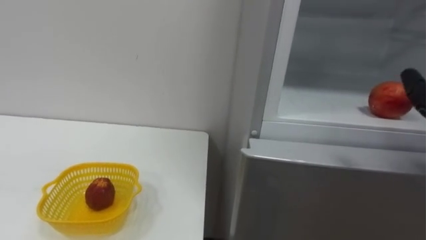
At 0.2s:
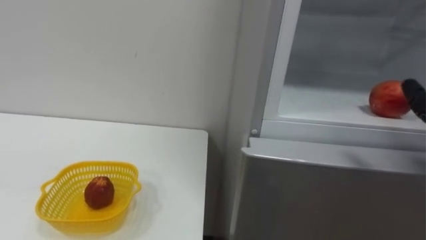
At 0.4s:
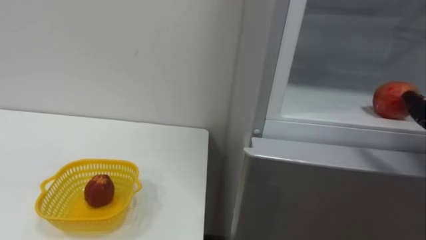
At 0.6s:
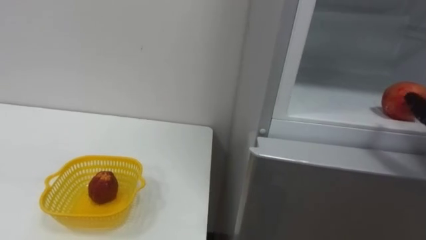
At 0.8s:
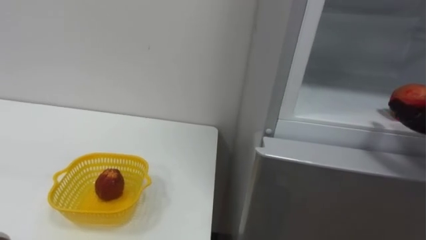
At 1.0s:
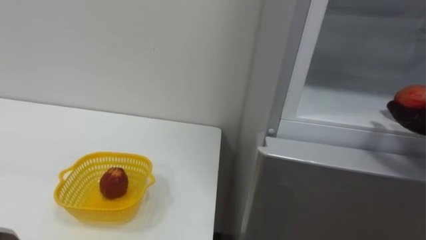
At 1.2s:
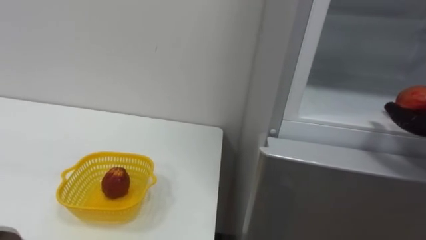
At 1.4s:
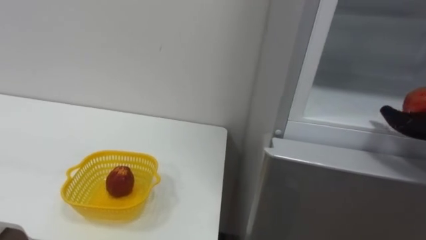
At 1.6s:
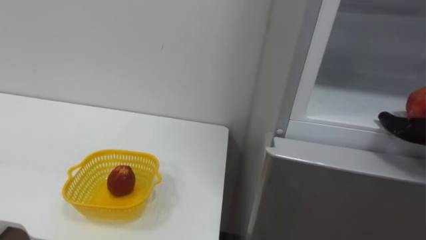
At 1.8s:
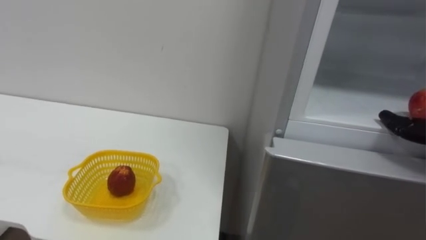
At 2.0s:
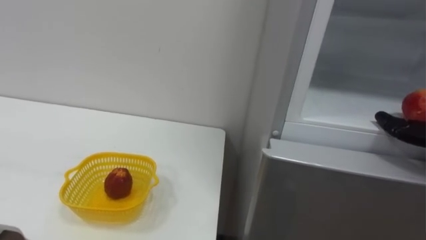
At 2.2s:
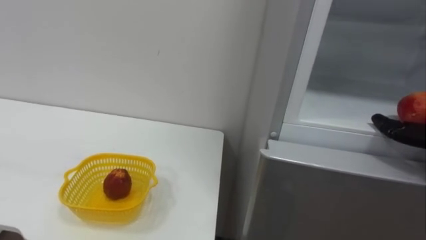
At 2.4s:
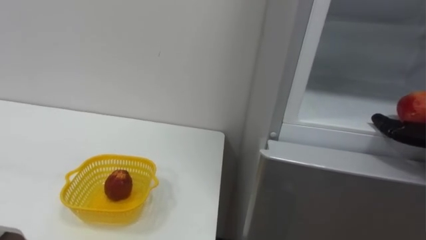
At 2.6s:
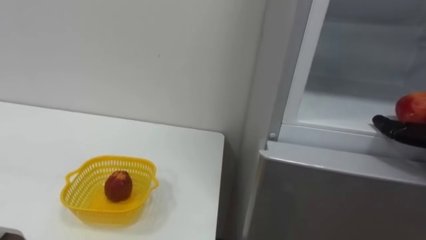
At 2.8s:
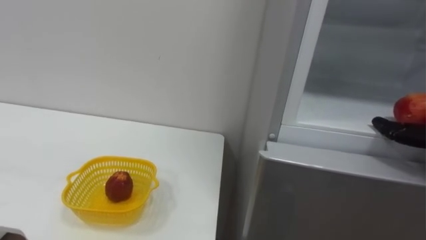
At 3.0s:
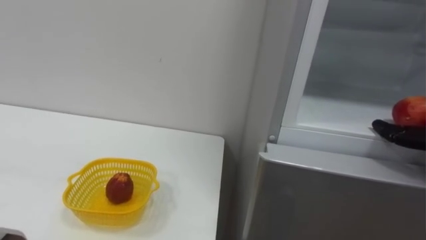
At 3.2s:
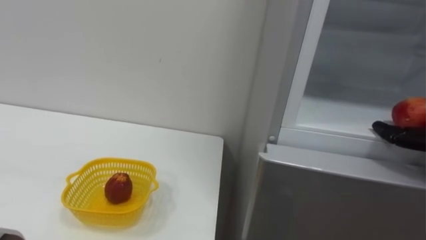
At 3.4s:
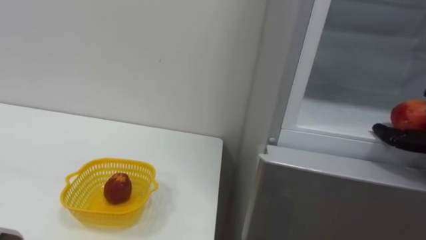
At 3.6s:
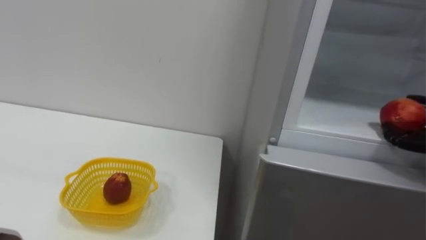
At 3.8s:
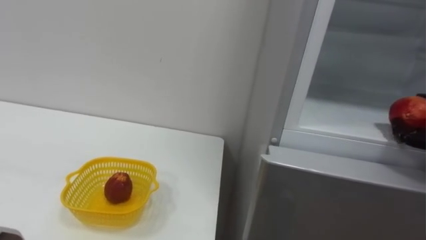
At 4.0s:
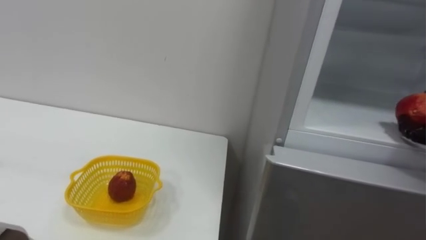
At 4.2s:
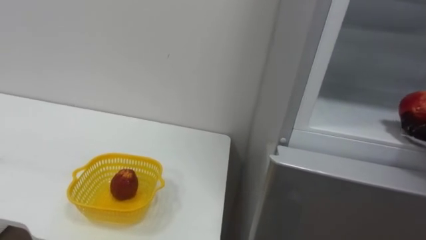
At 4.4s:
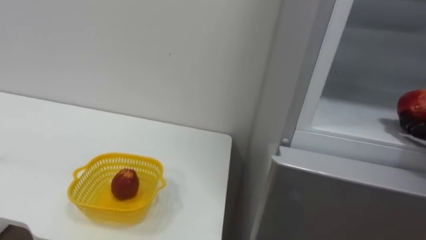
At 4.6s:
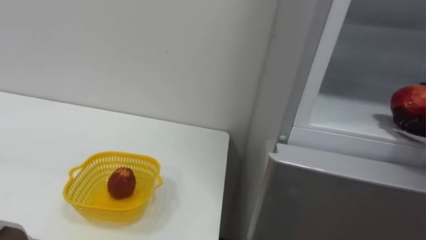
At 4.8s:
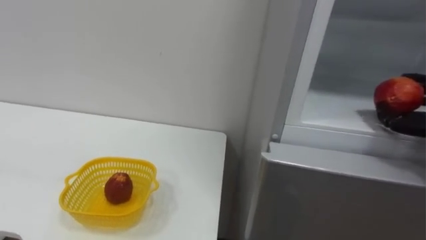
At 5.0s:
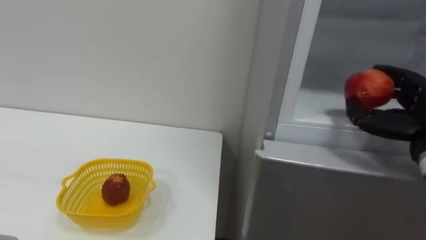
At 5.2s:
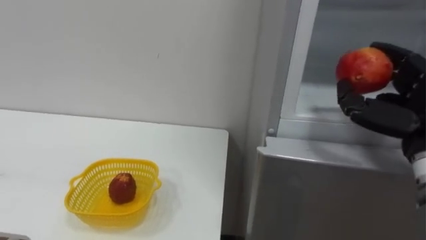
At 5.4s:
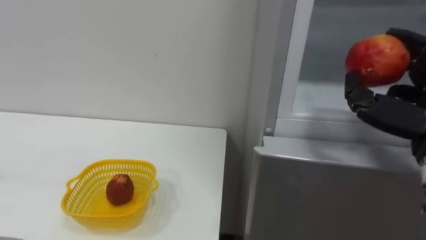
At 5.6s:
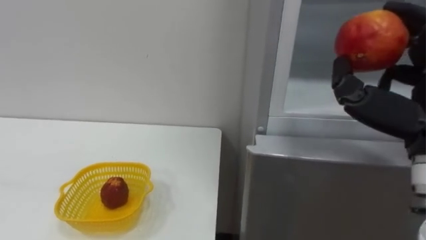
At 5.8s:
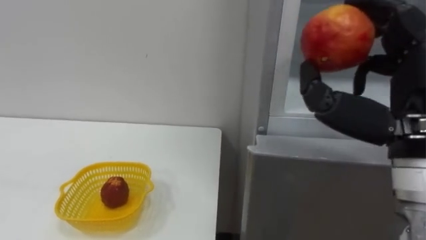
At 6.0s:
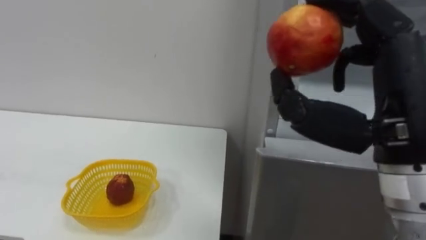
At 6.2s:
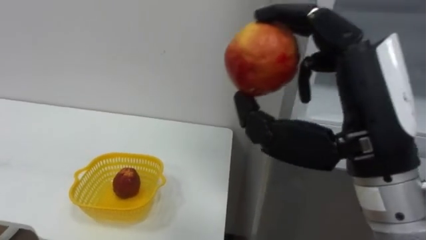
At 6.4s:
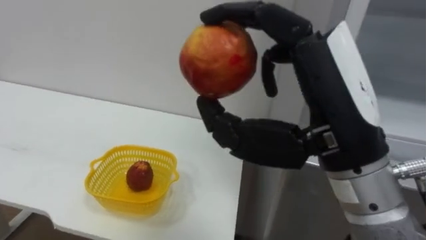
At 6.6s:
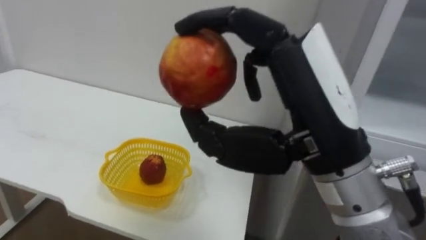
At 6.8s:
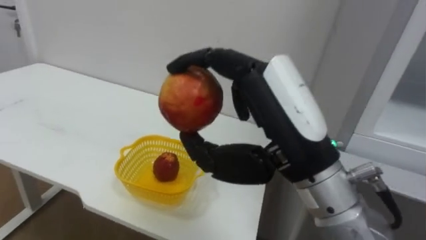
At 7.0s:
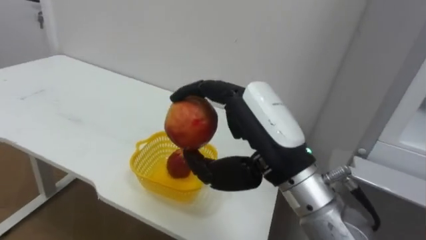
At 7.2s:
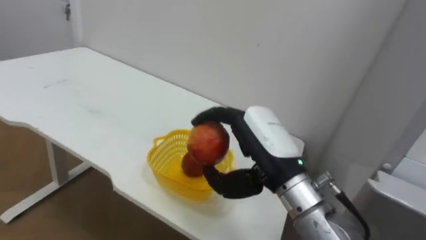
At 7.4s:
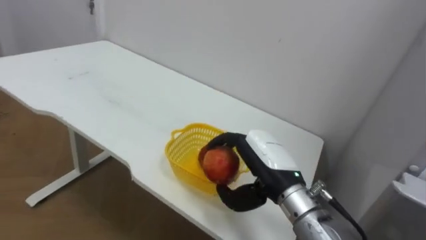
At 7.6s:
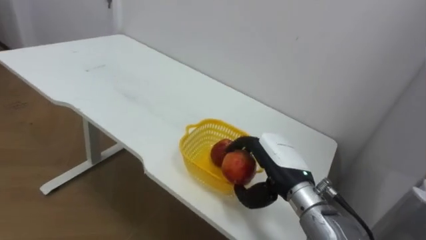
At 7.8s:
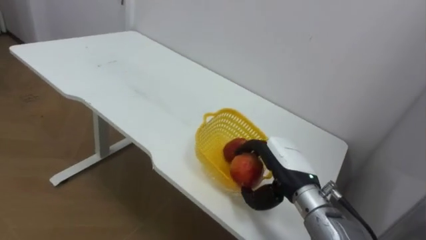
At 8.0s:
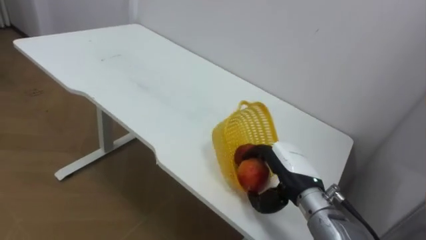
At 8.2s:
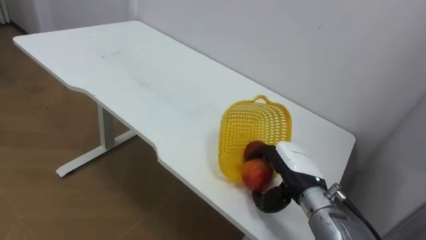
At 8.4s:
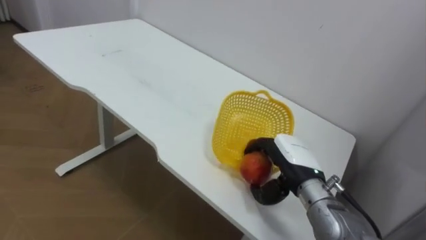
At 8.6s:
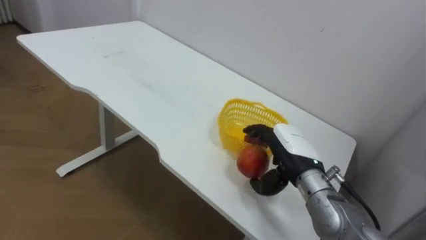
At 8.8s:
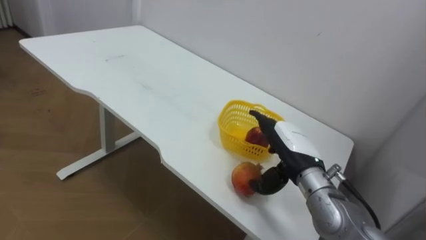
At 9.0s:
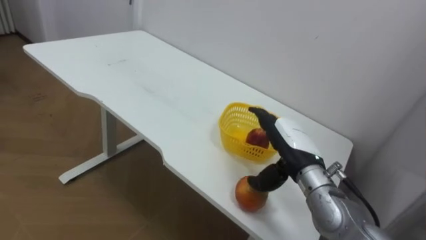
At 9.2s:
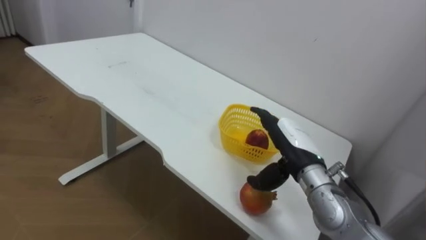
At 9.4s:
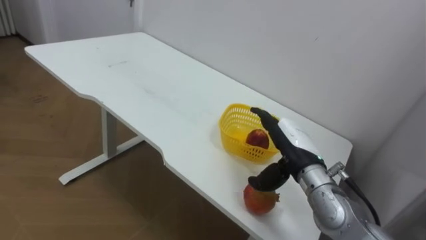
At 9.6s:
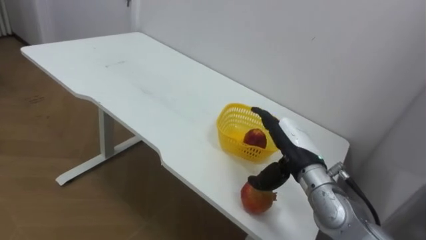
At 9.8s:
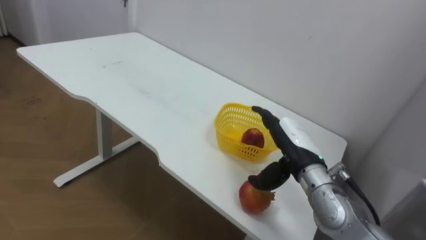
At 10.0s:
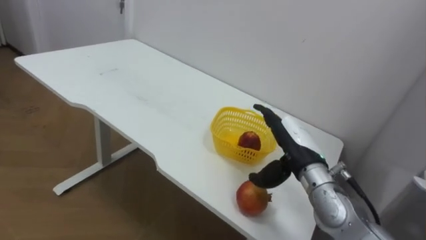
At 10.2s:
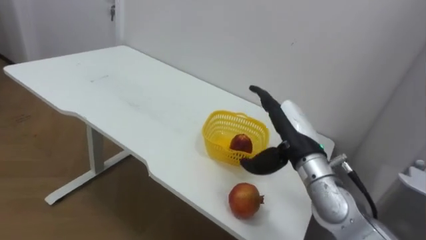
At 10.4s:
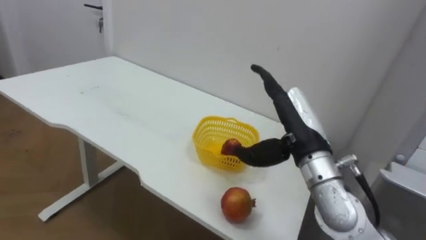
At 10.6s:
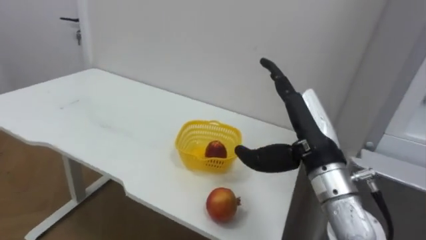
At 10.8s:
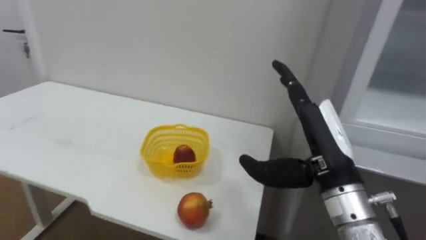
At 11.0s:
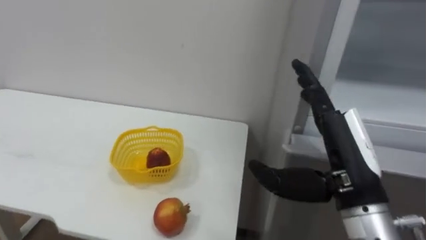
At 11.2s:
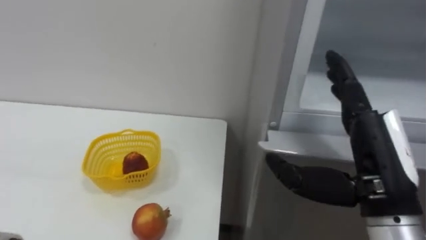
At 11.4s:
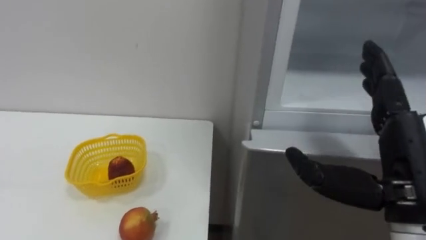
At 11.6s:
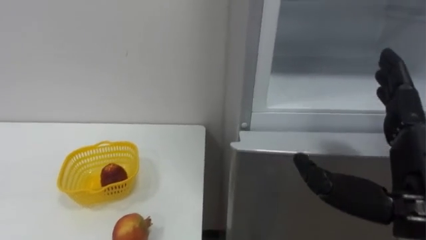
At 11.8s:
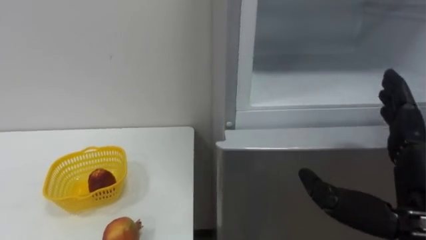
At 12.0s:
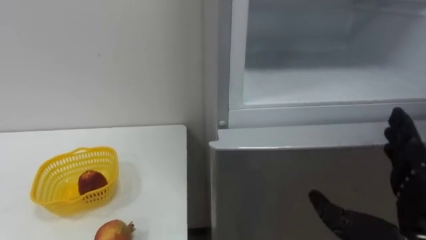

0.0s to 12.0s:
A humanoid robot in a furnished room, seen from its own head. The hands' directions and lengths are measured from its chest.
Task of the whole recording: Open the refrigerator door, take out the apple and the pomegranate, place them in the fruit basket on the left, and close the refrigerator door.
6.0s to 7.6s: The right hand goes about 25 cm downward, forward and to the left.
7.6s to 9.0s: The right hand opens.
9.0s to 10.4s: The right hand is displaced upward by some 5 cm.
10.4s to 12.0s: The right hand goes approximately 20 cm backward and to the right.

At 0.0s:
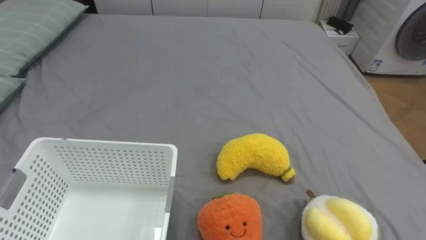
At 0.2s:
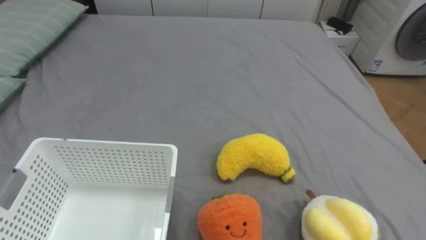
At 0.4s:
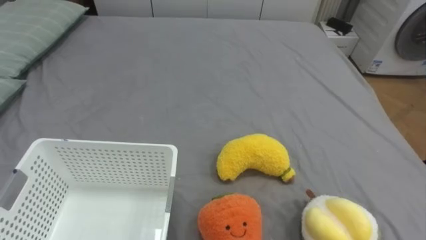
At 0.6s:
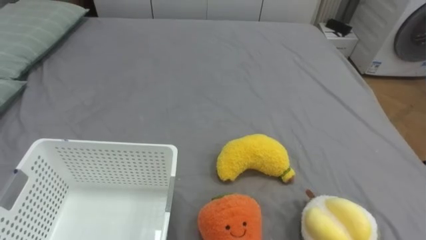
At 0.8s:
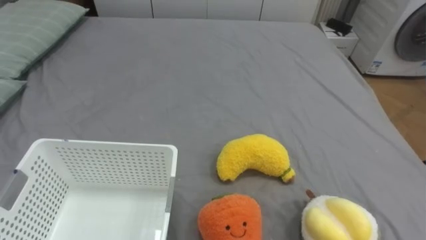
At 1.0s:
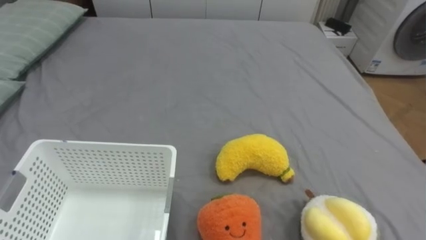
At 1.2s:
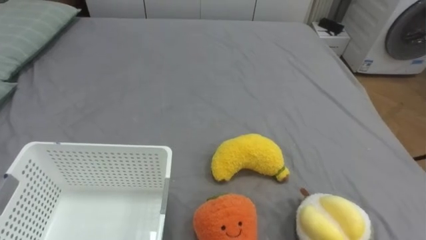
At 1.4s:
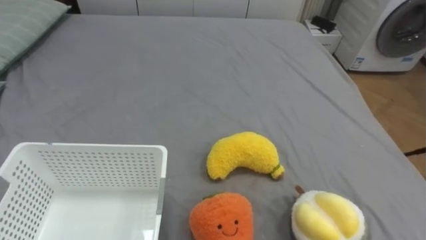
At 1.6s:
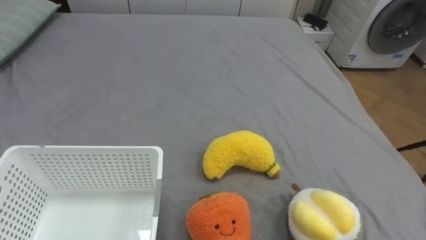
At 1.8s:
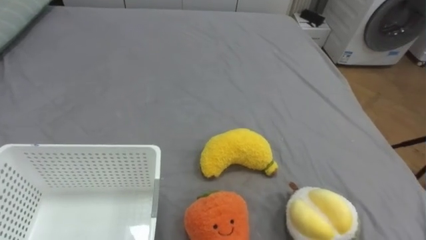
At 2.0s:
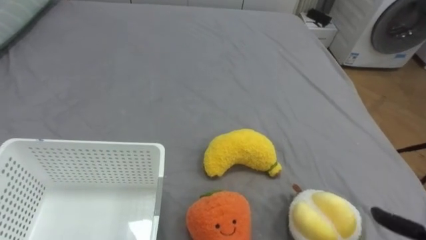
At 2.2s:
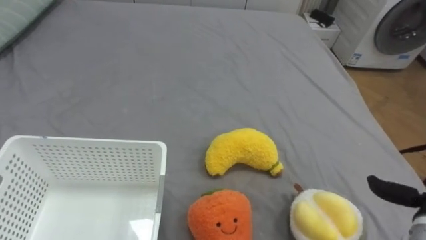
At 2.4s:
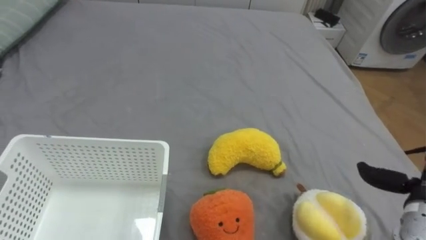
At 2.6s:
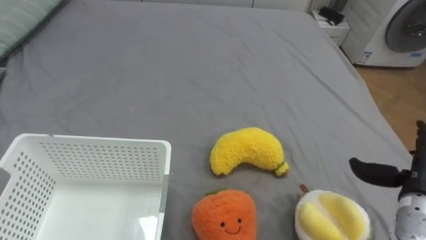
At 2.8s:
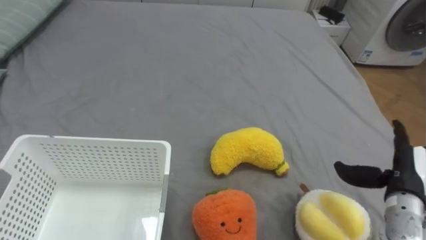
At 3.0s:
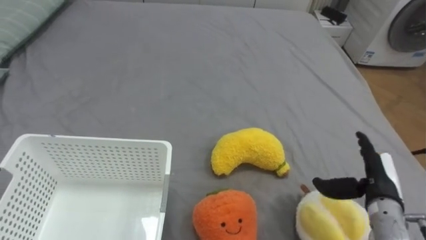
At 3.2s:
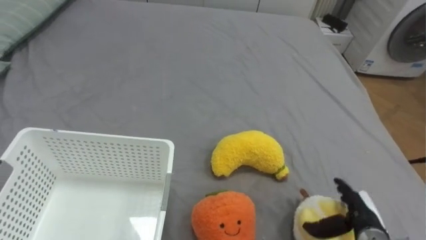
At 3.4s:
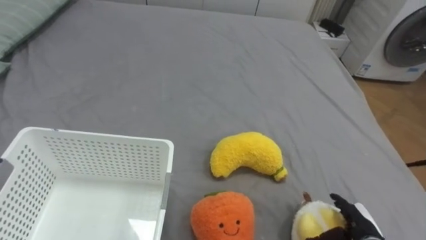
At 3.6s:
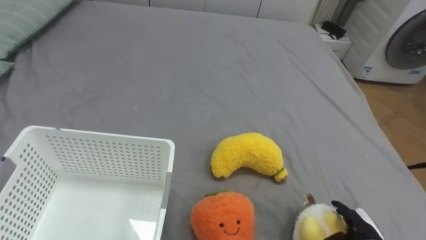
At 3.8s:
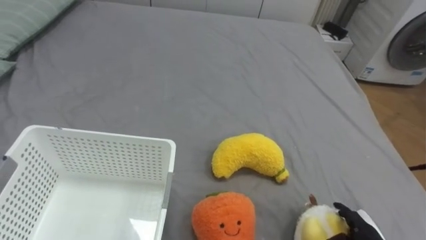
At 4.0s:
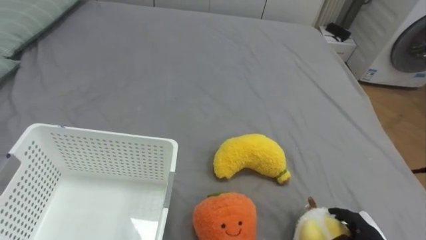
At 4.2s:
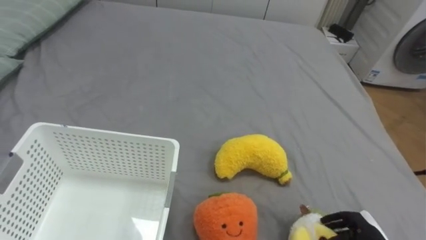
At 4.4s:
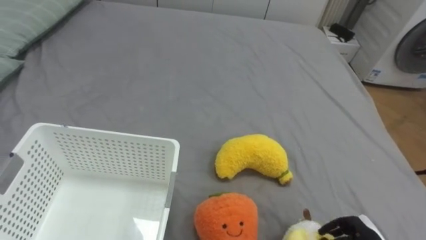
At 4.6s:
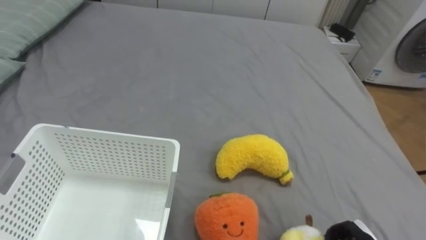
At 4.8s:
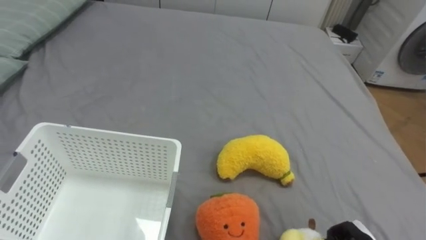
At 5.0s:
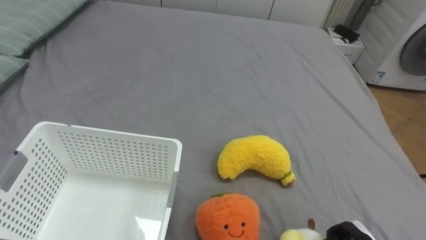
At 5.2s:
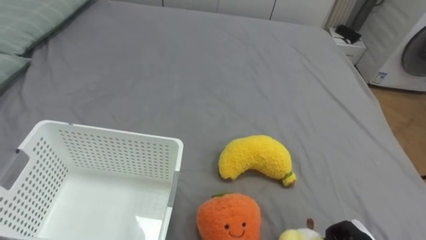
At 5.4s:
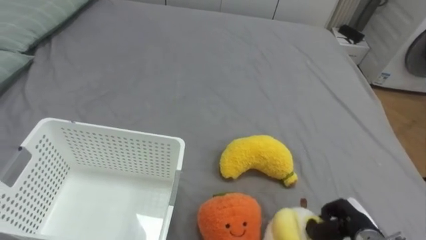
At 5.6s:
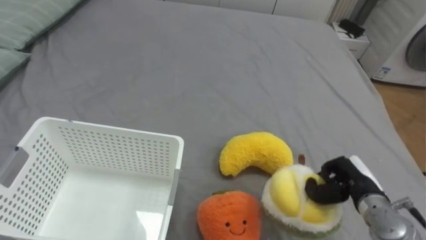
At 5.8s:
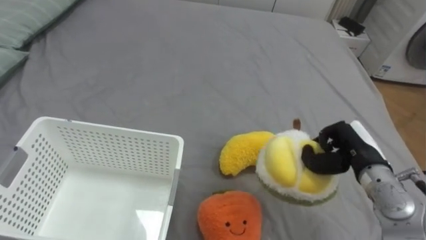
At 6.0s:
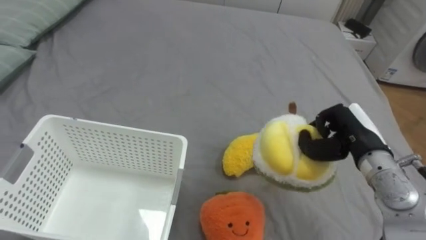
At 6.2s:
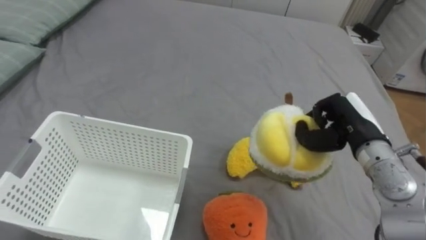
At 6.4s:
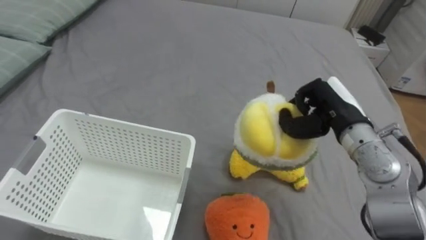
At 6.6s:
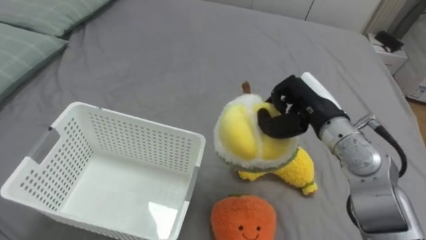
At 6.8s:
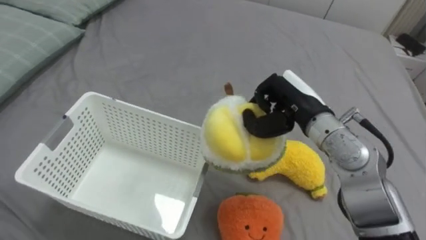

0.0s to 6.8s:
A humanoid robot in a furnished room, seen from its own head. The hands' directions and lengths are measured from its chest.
Task of the whole recording: Put the toys on the bed into the basket on the left.
2.8s to 4.0s: The right hand heads downward and backward, covering some 15 cm.
5.4s to 6.8s: The right hand shifts about 30 cm upward, forward and to the left.
